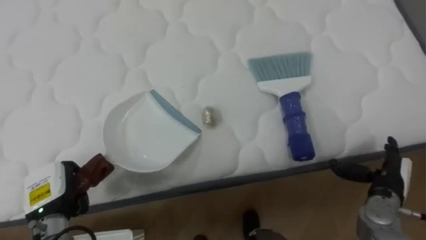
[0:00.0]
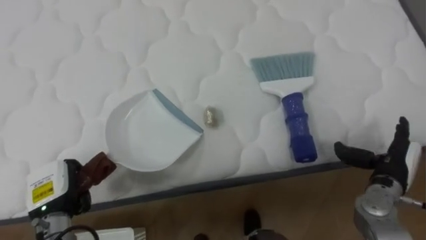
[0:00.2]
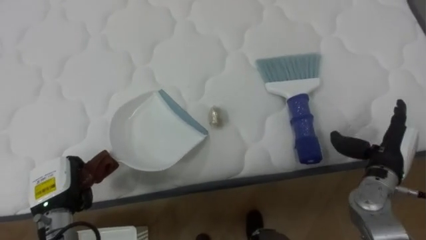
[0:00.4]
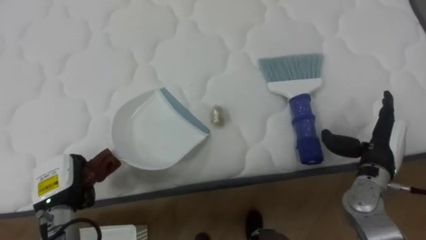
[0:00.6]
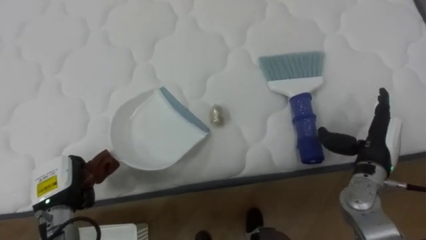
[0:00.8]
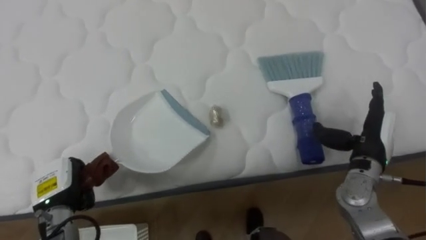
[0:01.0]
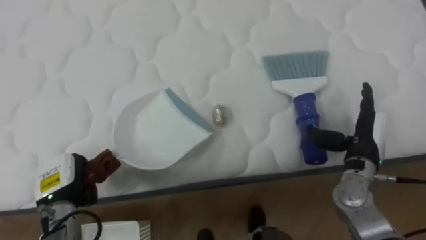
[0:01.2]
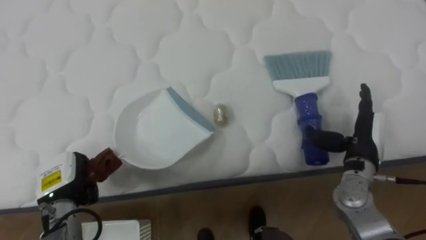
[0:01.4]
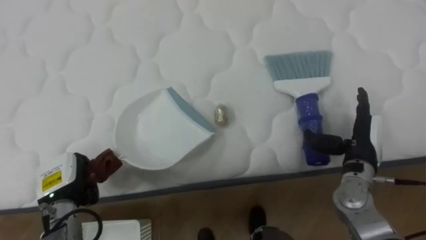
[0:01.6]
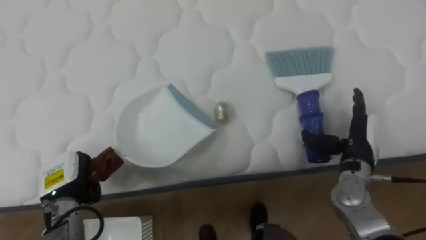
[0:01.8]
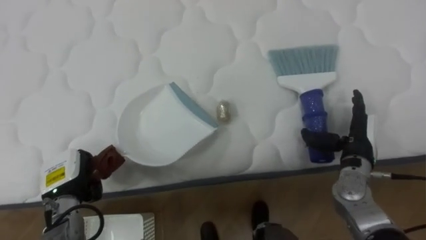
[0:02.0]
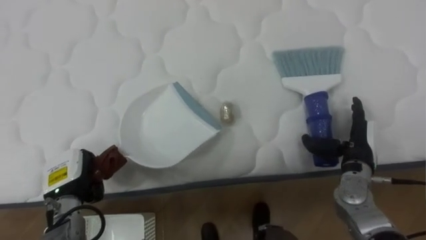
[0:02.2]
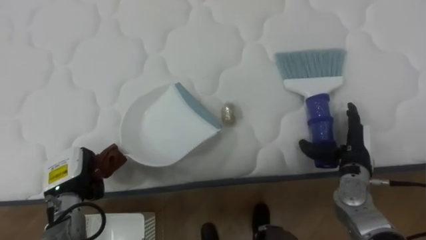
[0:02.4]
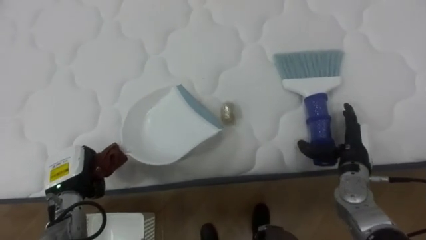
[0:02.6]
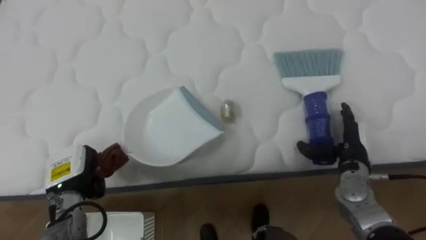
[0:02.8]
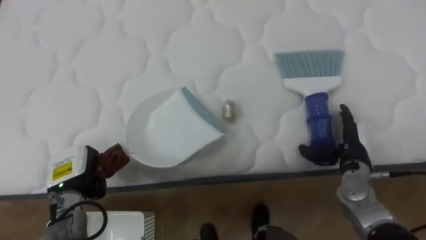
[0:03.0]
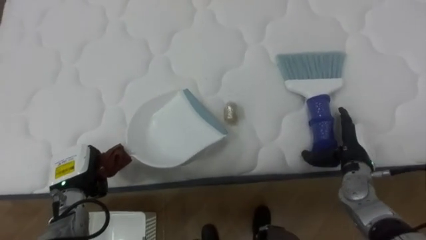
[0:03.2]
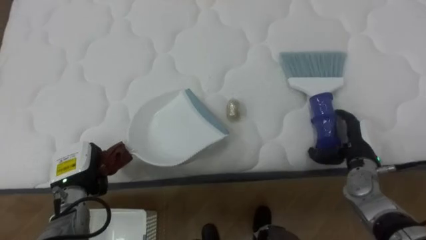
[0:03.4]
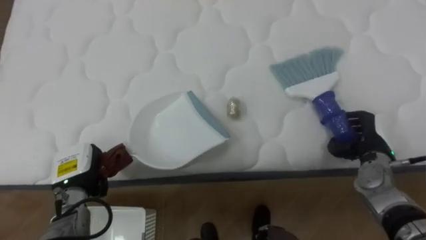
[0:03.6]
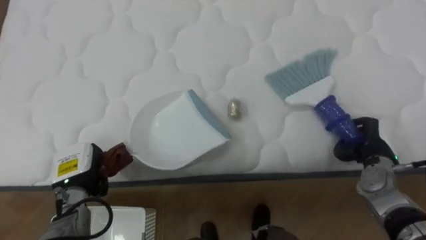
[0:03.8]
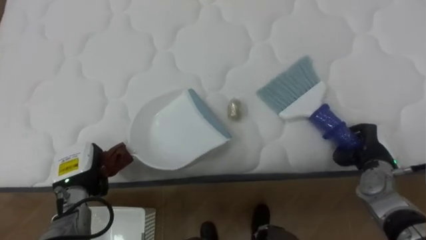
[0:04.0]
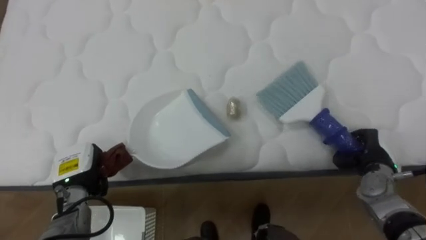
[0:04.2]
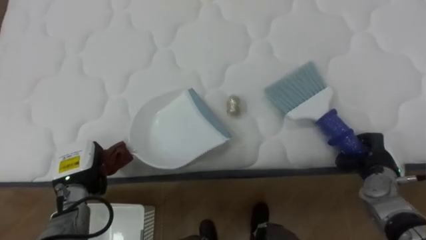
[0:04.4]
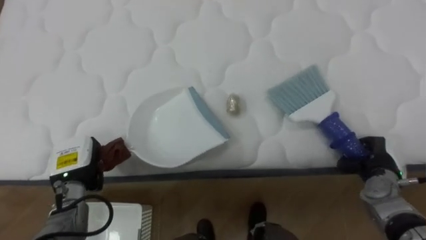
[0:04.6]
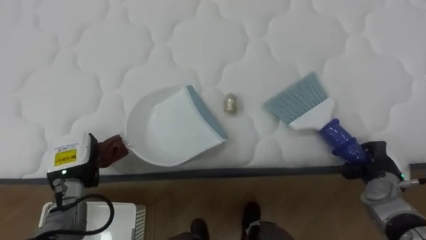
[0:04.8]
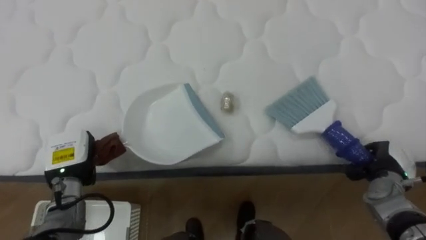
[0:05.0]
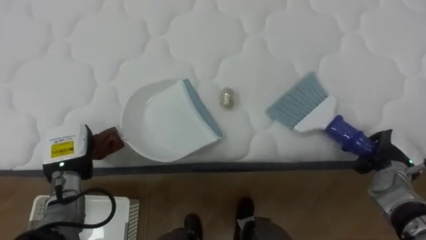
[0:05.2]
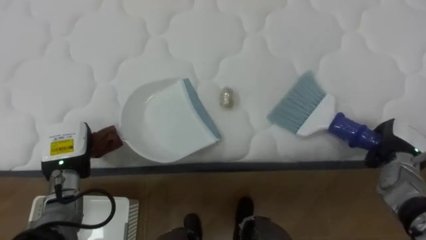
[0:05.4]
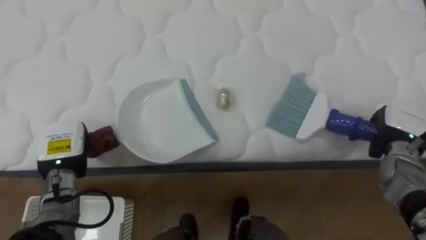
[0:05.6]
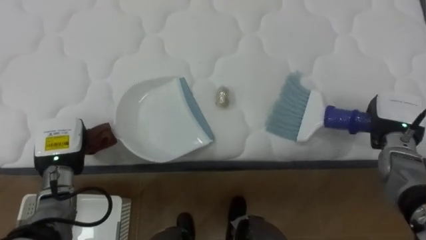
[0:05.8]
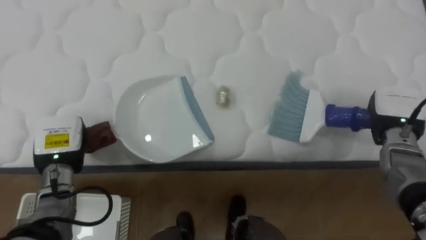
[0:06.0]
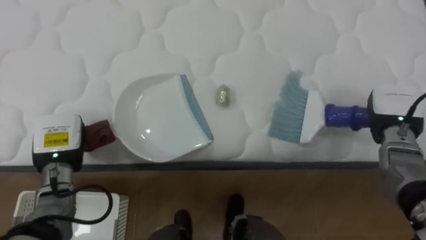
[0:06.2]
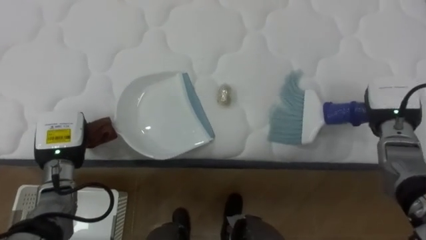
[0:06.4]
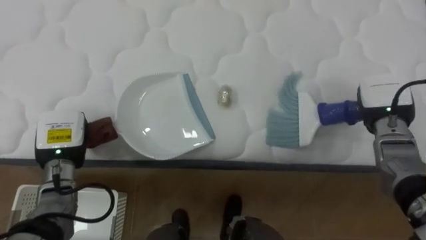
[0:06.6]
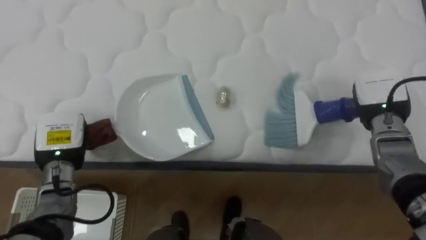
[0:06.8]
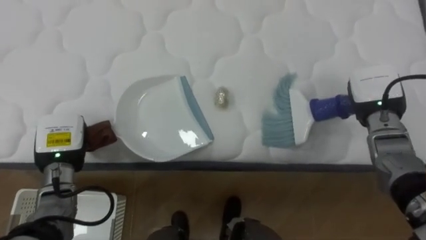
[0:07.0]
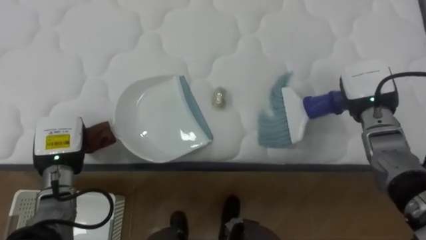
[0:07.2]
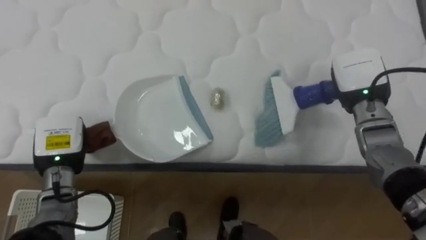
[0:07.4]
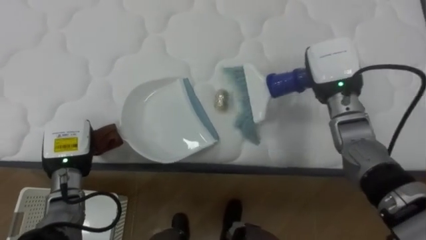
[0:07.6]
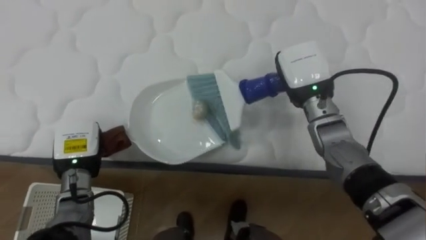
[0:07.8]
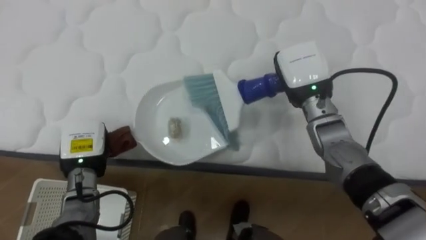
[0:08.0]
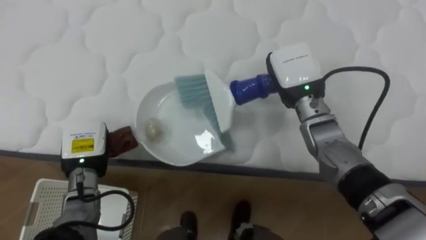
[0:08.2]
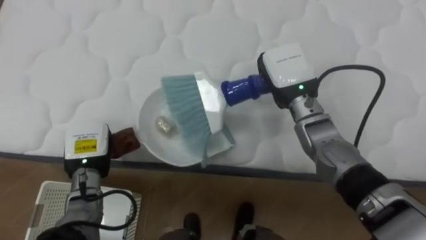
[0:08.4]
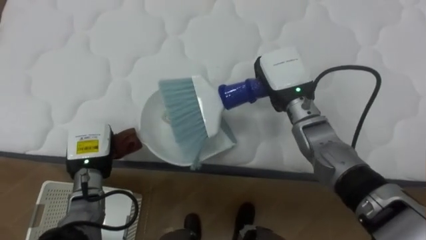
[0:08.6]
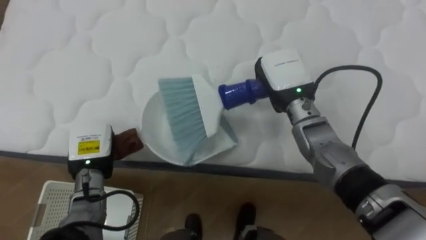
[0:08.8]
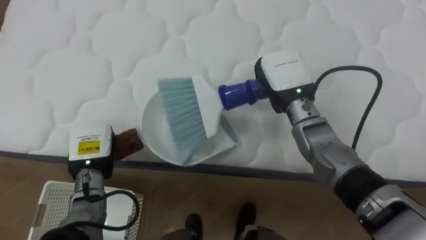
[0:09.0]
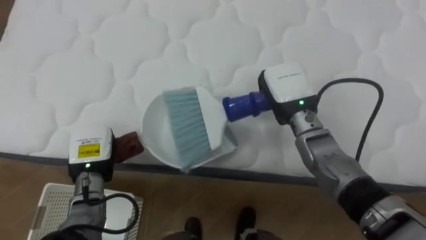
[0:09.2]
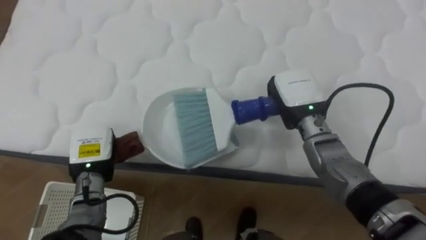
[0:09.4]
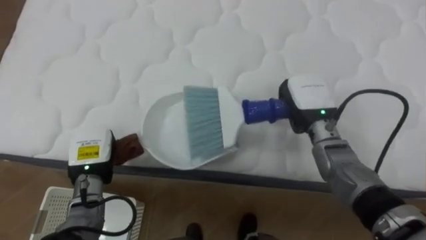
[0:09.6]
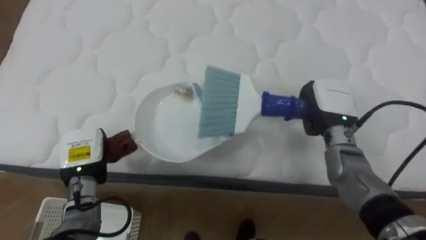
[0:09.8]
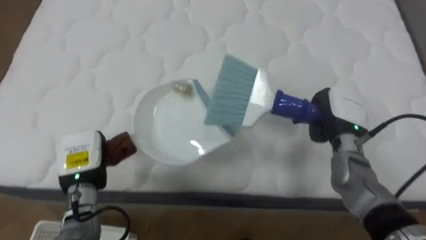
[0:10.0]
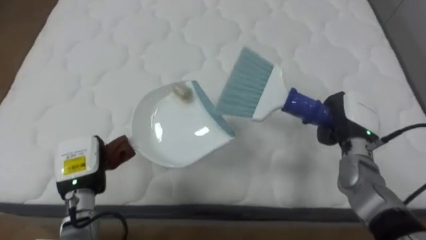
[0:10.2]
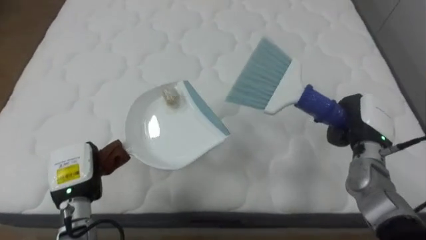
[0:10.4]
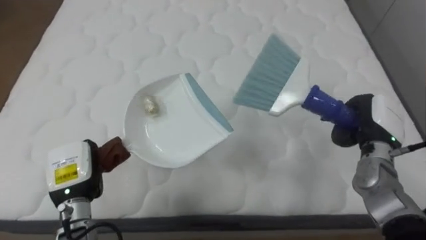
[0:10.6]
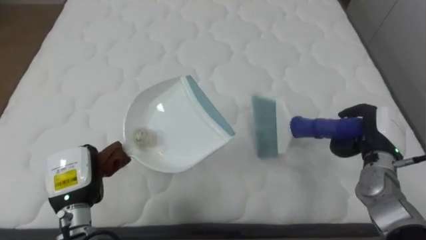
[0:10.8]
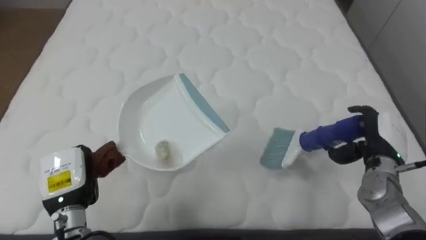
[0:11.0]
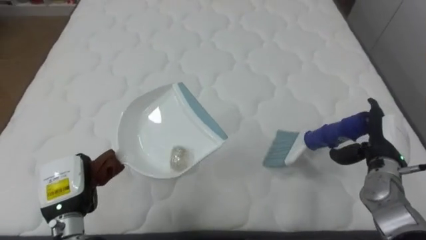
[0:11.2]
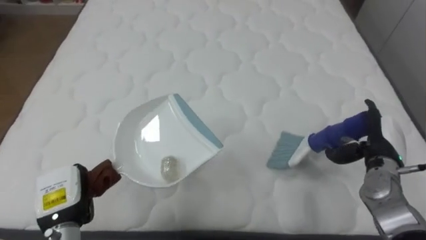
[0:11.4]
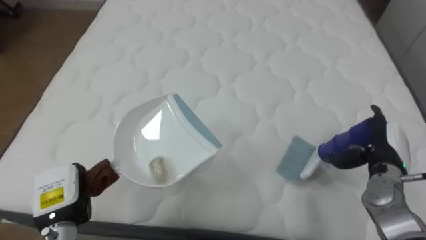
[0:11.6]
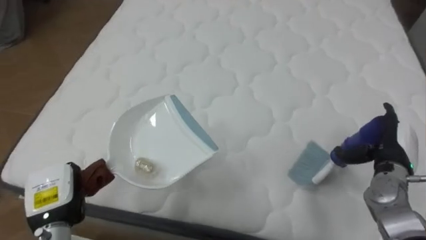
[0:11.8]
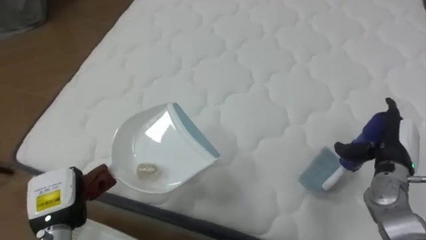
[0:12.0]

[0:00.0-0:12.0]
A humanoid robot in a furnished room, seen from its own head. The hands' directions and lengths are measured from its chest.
Task of the whole recording: Pick up the brush on your right and the dustpan on your left. Use the brush to sweep the crumpled paper on the bed into the dustpan, then turn left and empty it into the basket.
0:00.0 to 0:01.6: The right hand is displaced upward, to the left and forward by some 10 cm.
0:03.0 to 0:04.4: The right hand shifts some 5 cm to the right, and closes.
0:04.4 to 0:06.0: The left hand shifts approximately 5 cm upward; the right hand travels upward and forward by some 10 cm.
0:06.0 to 0:07.6: The right hand goes about 15 cm to the left and upward.
0:07.6 to 0:09.0: The right hand travels to the left by about 10 cm.
0:09.0 to 0:10.4: The left hand changes place by about 5 cm, while the right hand travels to the right and downward by about 20 cm.
0:10.4 to 0:12.0: The robot's body swings approximately 15 degrees to its left. The right hand ends up some 5 cm from where it was, and opens; the left hand travels backward by about 5 cm.

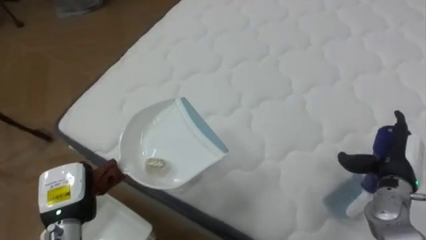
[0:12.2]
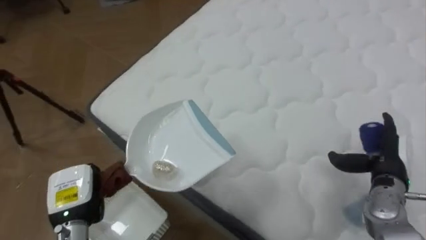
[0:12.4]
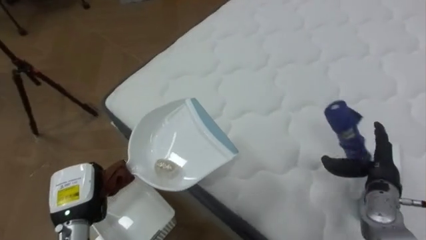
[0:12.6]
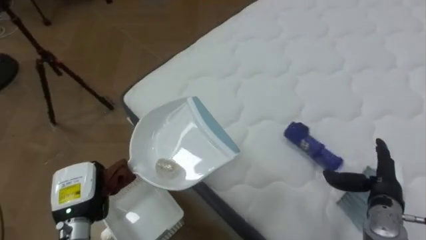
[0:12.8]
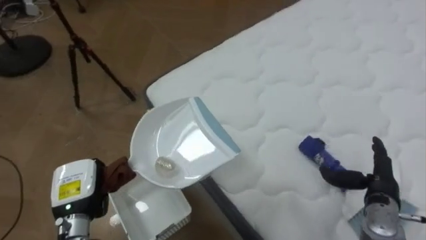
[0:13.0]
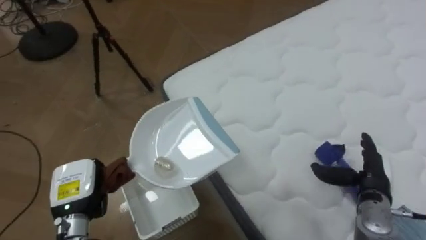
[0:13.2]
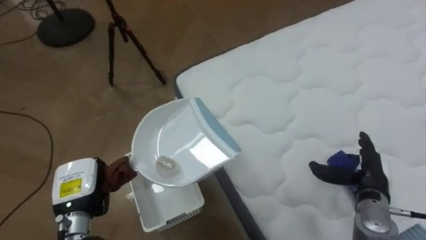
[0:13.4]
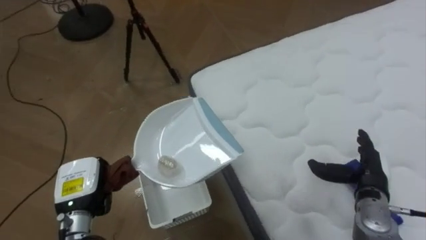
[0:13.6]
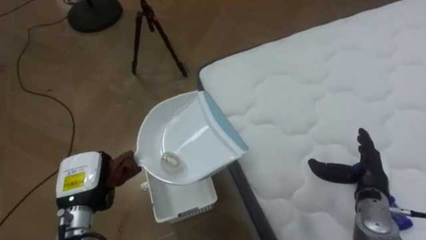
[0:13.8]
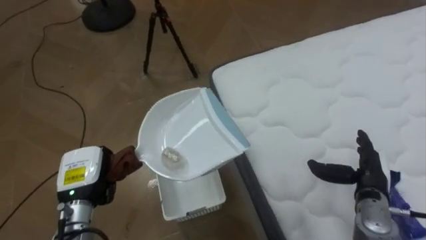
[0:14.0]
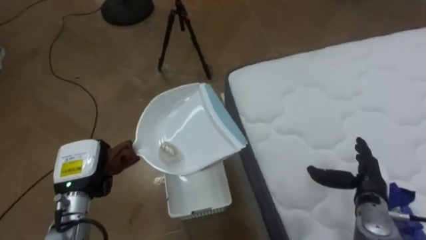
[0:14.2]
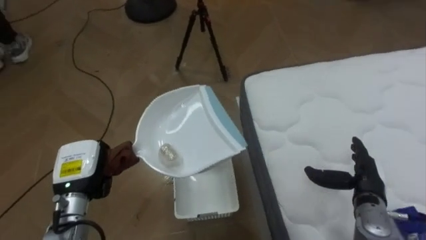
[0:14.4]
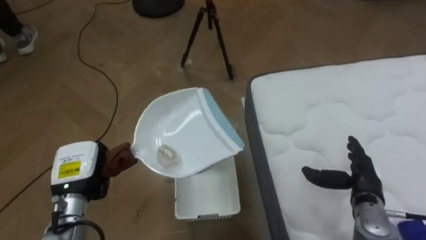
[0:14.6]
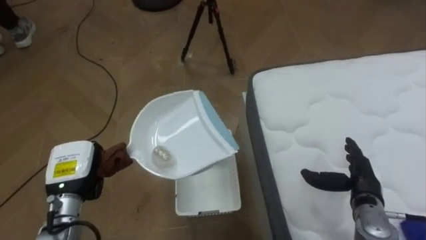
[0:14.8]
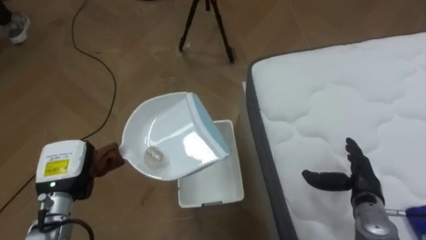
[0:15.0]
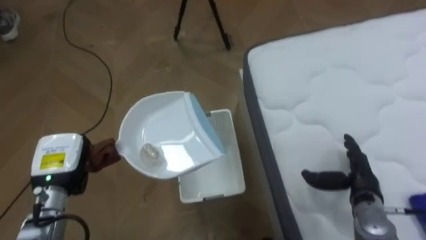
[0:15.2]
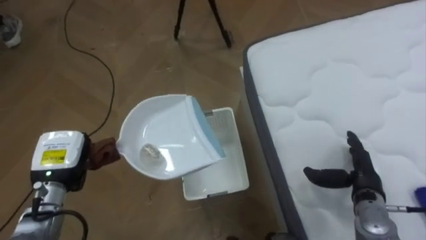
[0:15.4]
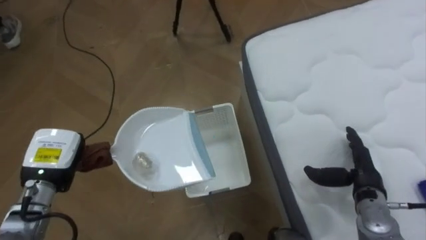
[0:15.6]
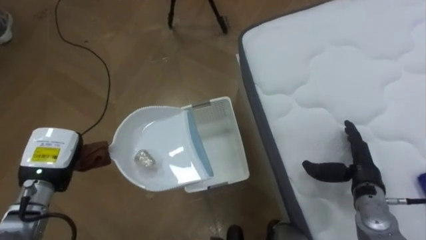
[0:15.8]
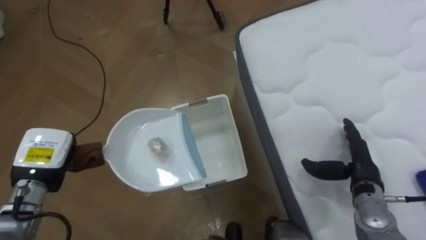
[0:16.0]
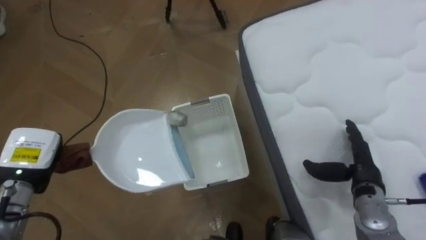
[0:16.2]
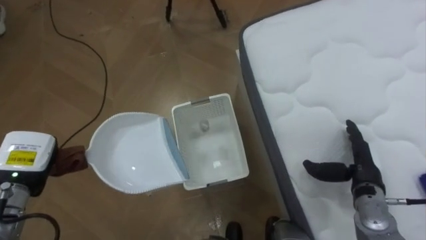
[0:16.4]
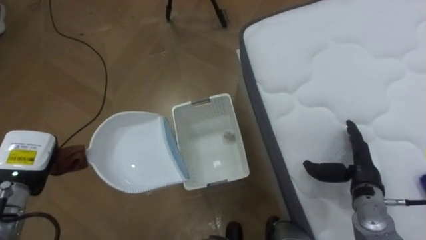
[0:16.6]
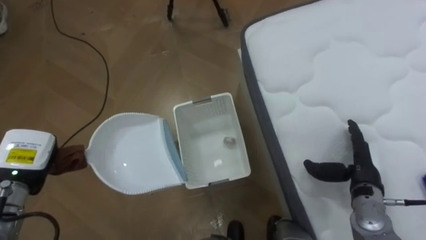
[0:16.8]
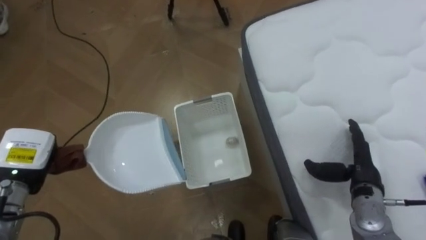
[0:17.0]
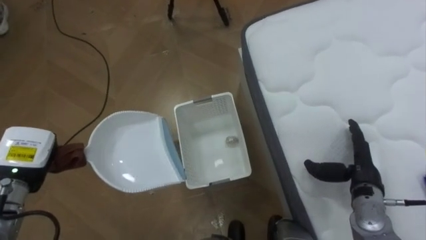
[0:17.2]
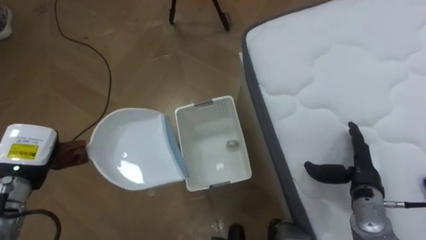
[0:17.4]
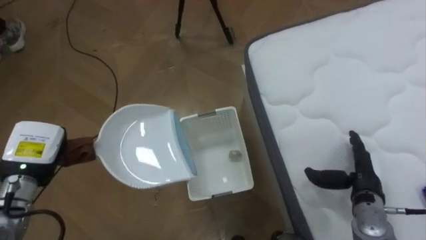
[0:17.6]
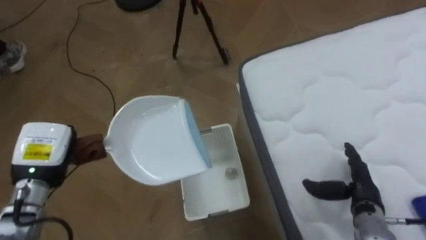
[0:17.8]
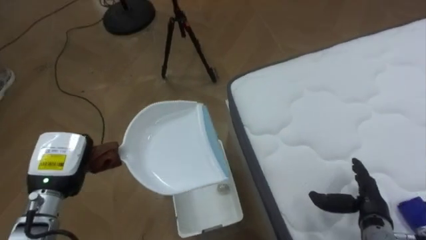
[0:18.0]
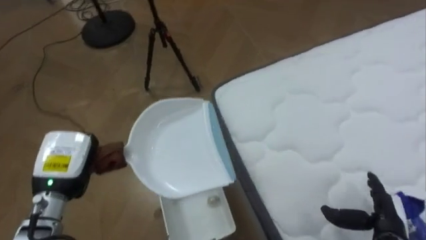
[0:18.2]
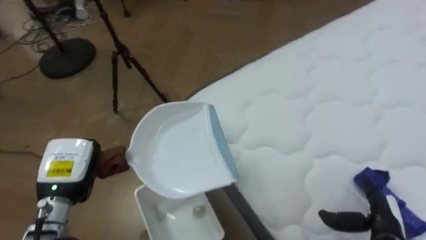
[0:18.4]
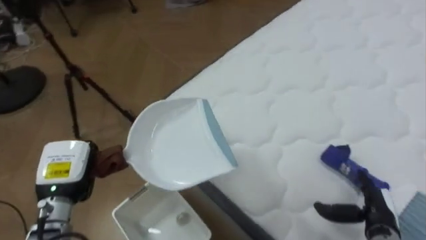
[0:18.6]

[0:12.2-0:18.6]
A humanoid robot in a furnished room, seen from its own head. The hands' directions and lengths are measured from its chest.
Task of the whole recording: Pick up the brush on your right and the dustpan on your left. Use the brush to sweep the crumpled paper on the bed into the dustpan, then turn left and empty it into the basket.
0:12.2 to 0:13.8: The robot rotates approximately 40 degrees to its left. The right hand shifts by about 5 cm.
0:13.8 to 0:15.4: The robot's body swings roughly 15 degrees to its left. The left hand moves approximately 5 cm.
0:15.4 to 0:17.0: The left hand shifts about 5 cm to the left.
0:17.0 to 0:18.6: The robot's body swings approximately 35 degrees to its right. The left hand goes approximately 5 cm to the right, while the right hand goes roughly 5 cm backward.
